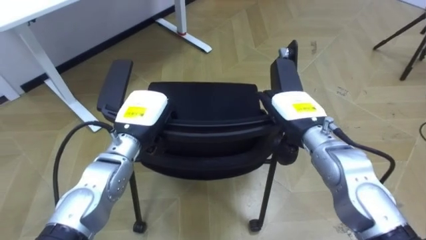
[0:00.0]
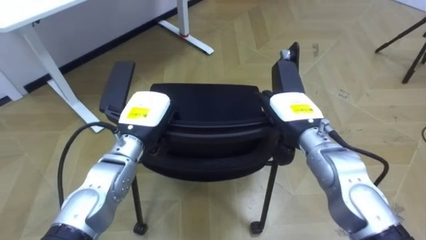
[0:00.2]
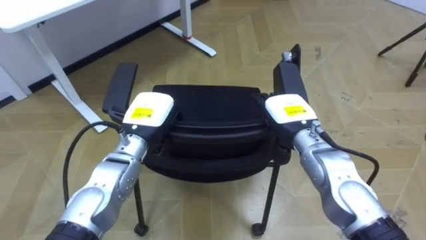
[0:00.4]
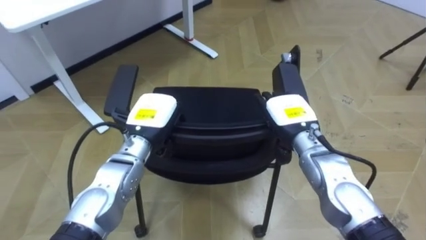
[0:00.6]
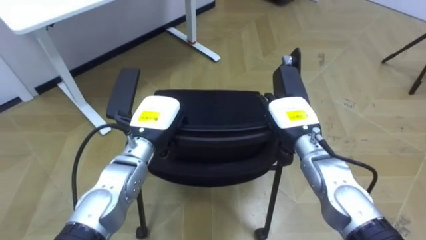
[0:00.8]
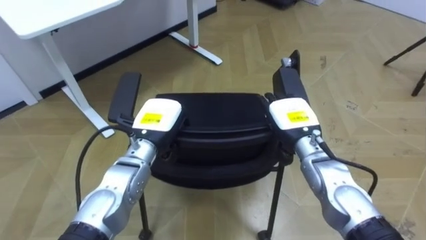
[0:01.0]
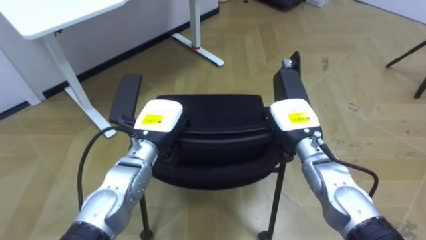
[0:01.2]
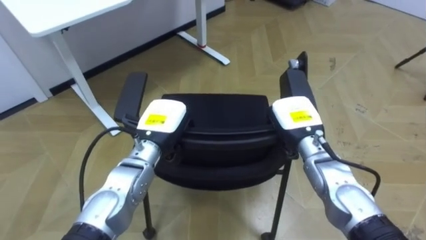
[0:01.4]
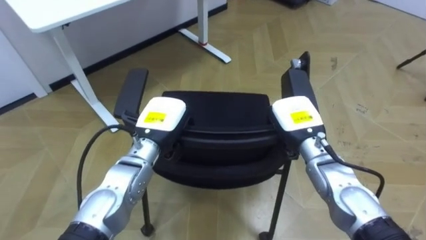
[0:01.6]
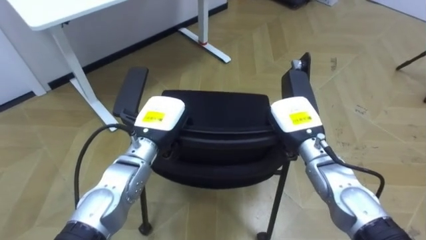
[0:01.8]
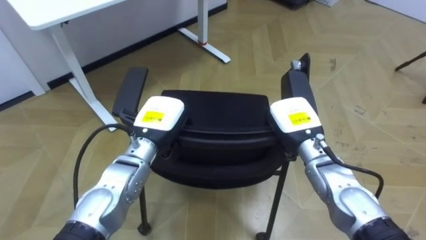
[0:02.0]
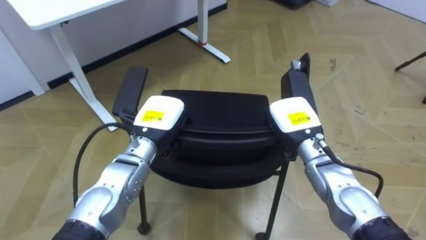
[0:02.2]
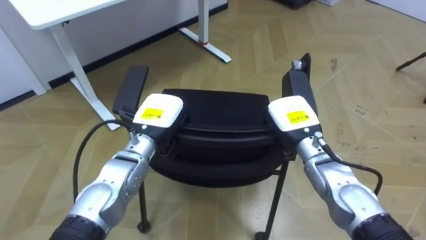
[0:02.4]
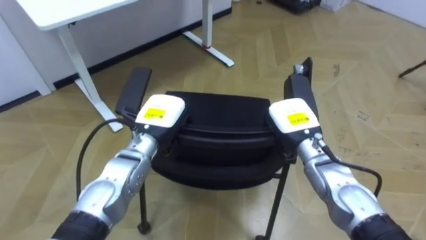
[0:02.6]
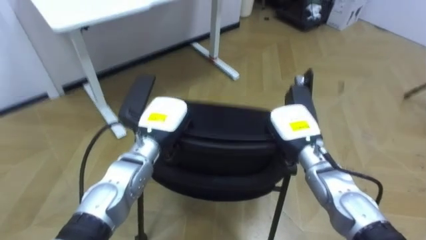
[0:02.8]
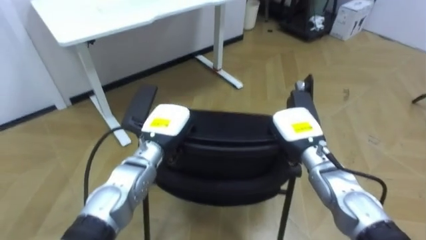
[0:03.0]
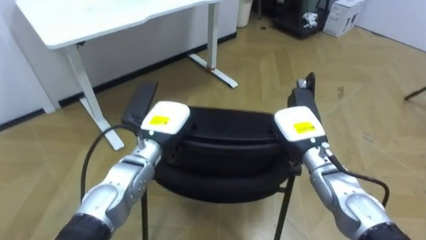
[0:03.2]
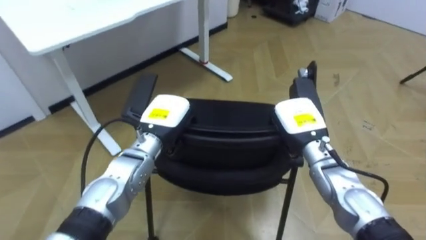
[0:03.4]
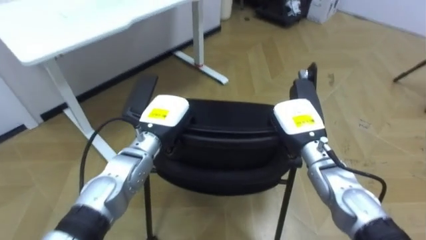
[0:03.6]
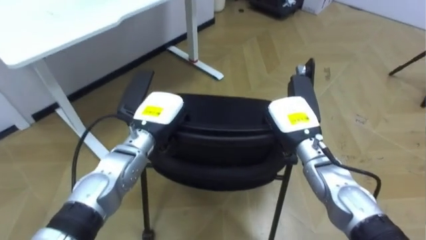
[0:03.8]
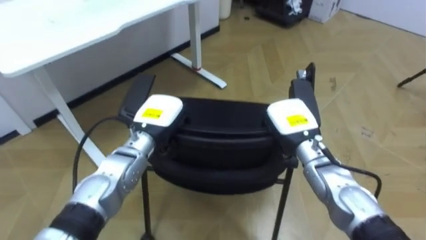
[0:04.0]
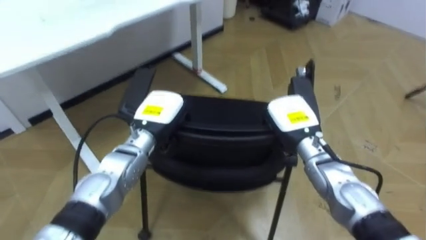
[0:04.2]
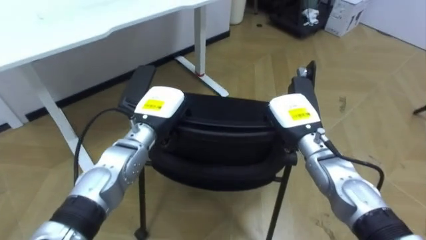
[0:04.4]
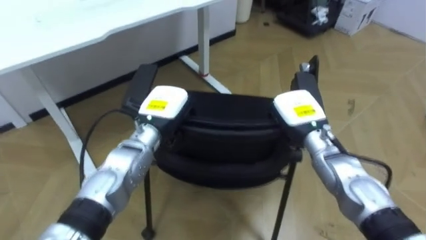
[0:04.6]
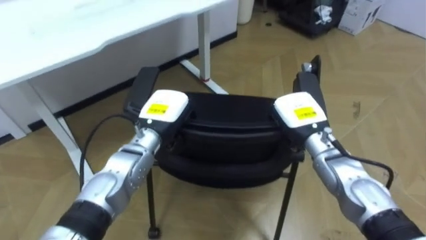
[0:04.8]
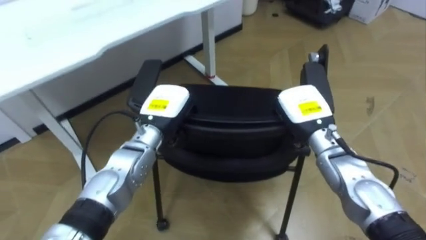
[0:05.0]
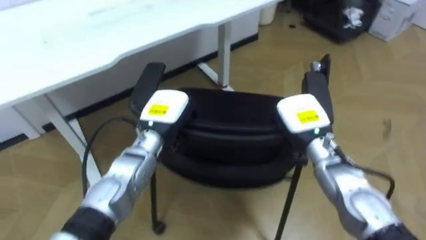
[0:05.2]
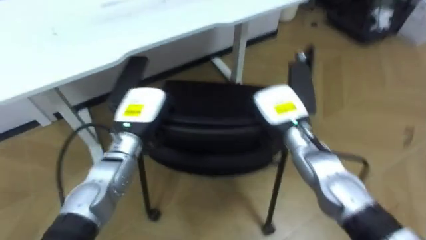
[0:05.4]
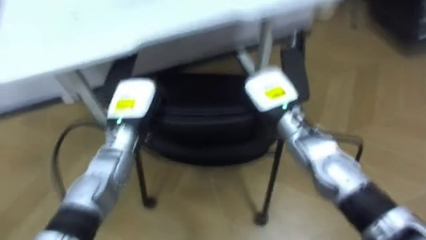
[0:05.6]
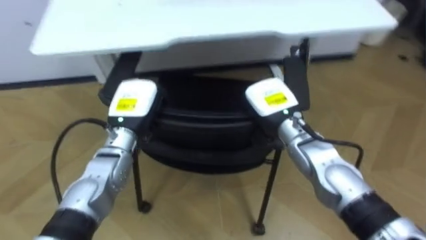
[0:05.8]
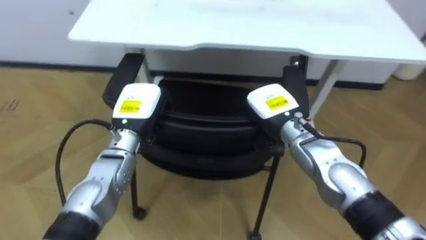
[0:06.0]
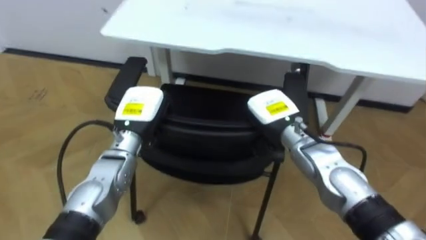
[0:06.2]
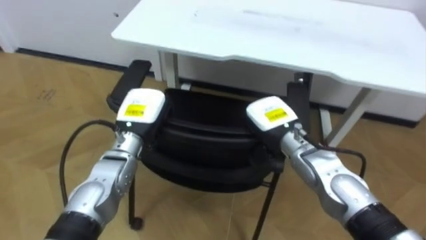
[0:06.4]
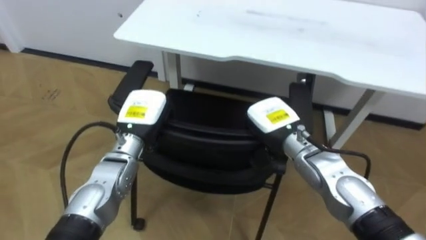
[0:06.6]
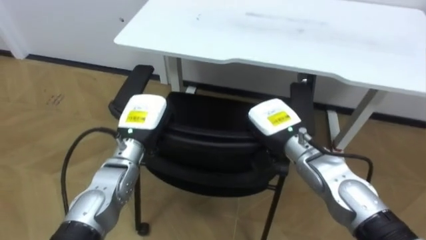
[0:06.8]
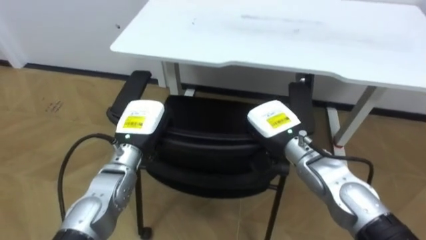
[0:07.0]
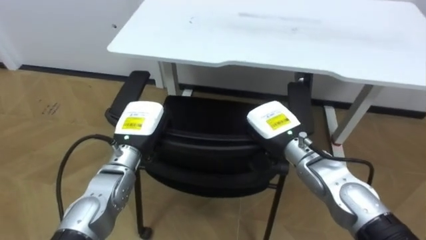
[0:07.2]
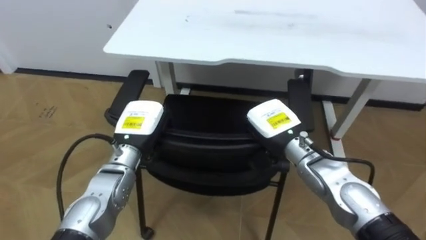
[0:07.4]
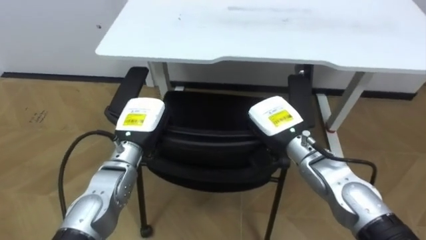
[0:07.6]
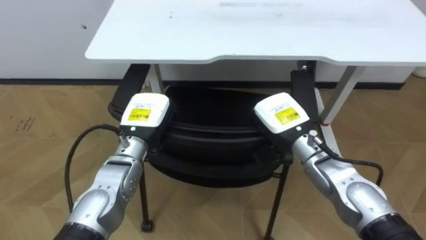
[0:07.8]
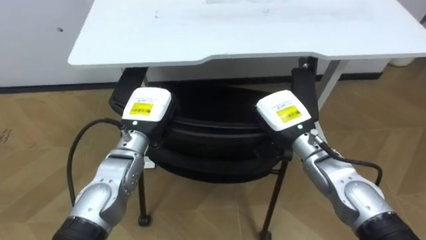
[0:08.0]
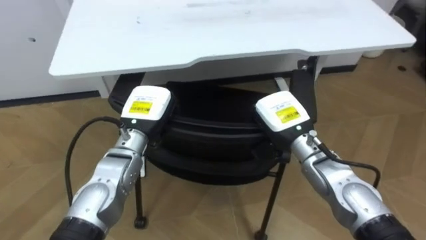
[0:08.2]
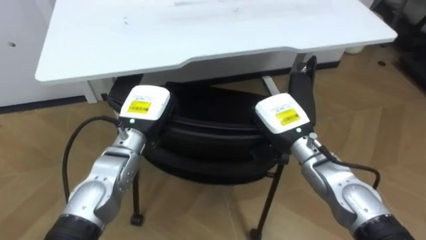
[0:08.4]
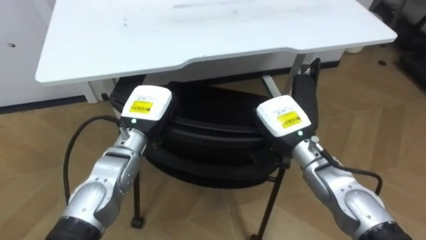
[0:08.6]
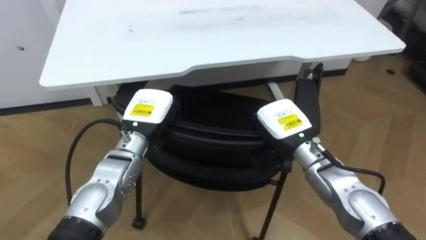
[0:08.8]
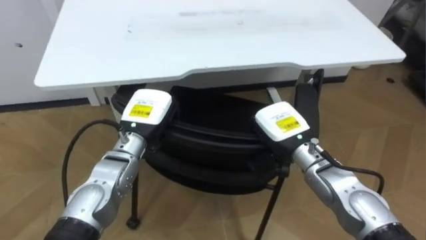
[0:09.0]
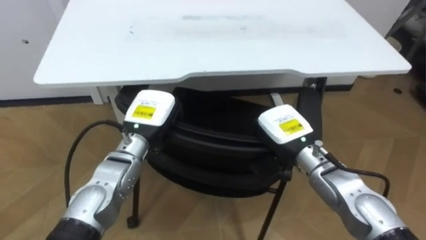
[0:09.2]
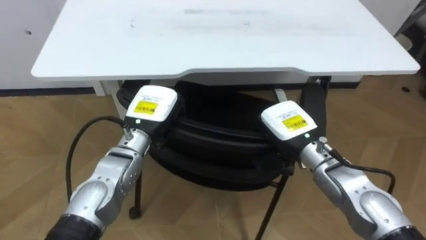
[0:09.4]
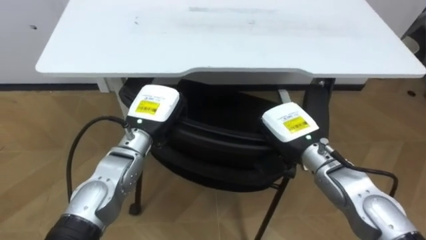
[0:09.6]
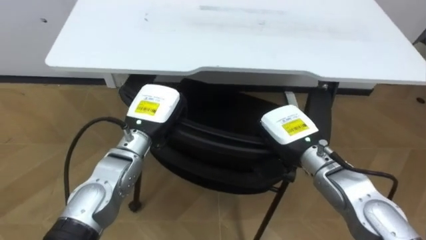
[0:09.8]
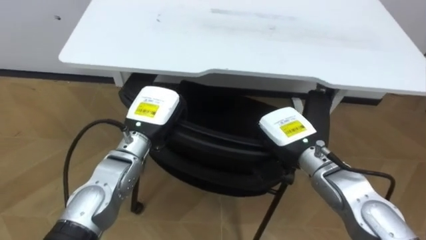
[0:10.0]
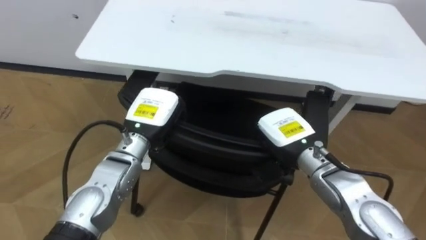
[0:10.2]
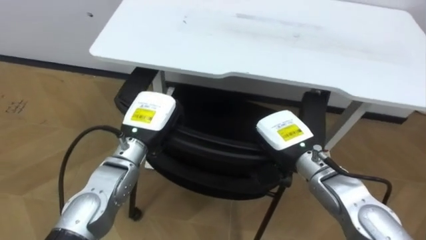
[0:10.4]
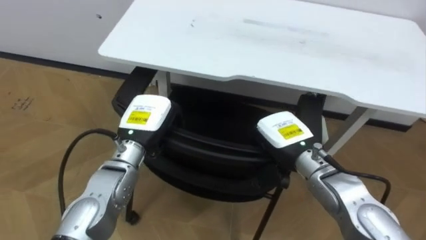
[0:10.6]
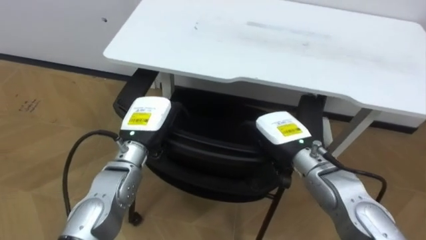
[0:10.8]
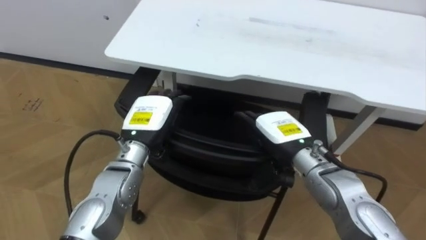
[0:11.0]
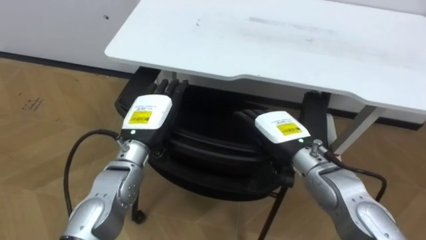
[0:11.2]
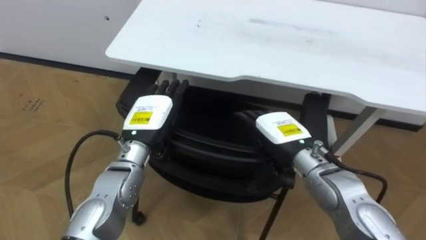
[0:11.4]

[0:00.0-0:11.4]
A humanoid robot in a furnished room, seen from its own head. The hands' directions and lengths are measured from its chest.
Task of the whole recording: Push the chair under the table.
0:00.0 to 0:01.4: The right hand closes.
0:04.2 to 0:05.6: The robot rotates about 20 degrees to its left. The right hand is displaced to the left by some 5 cm.
0:05.6 to 0:07.2: The robot rotates roughly 25 degrees to its left. The right hand moves roughly 5 cm.
0:10.0 to 0:11.4: The right hand opens up. Meanwhile the left hand opens up.

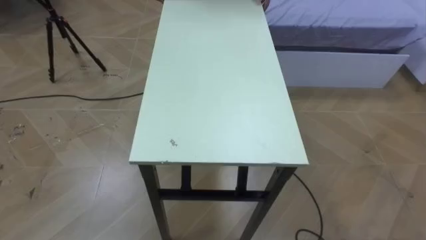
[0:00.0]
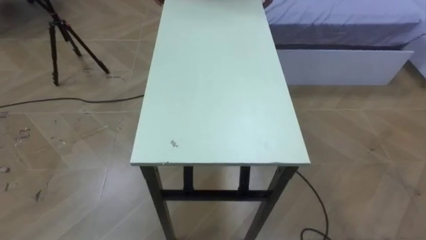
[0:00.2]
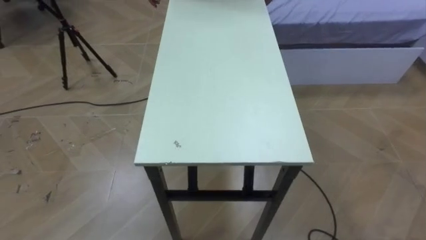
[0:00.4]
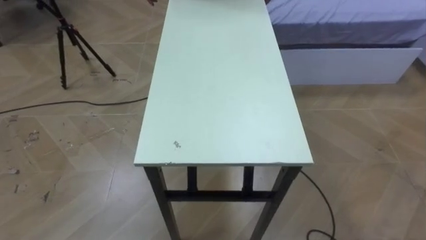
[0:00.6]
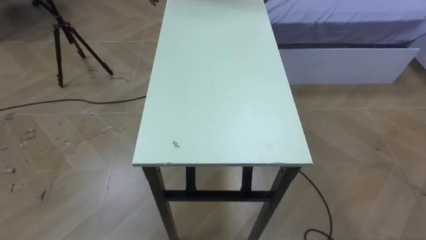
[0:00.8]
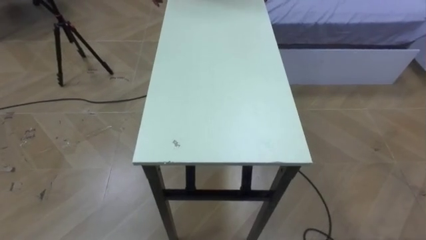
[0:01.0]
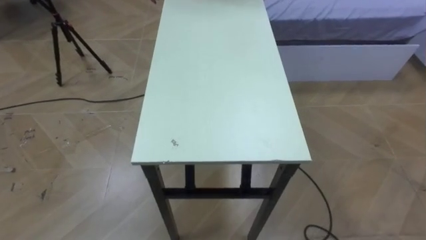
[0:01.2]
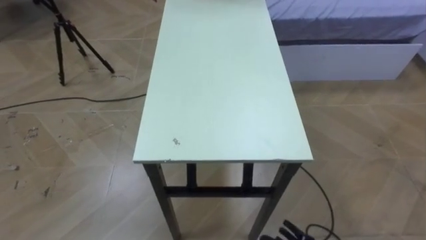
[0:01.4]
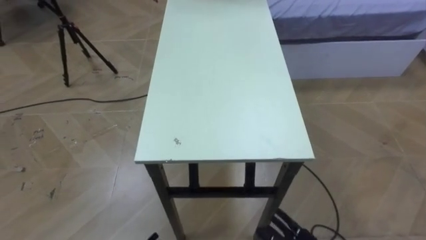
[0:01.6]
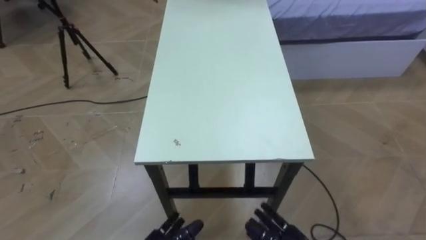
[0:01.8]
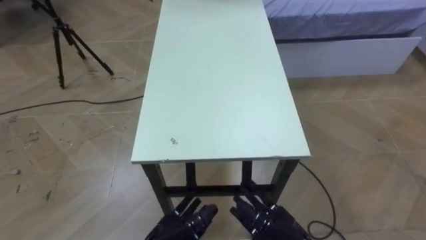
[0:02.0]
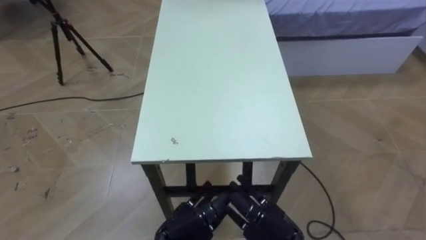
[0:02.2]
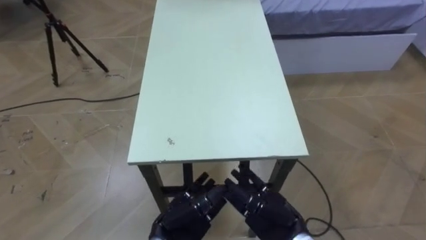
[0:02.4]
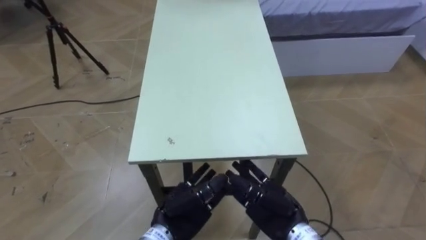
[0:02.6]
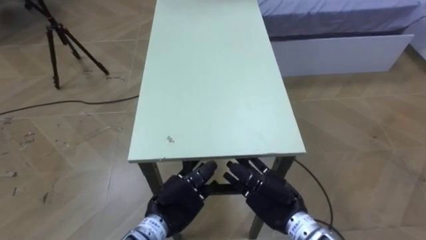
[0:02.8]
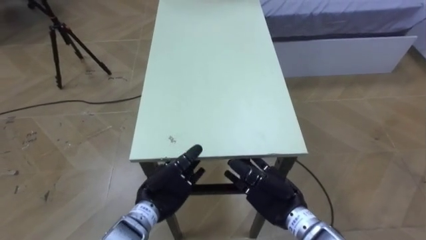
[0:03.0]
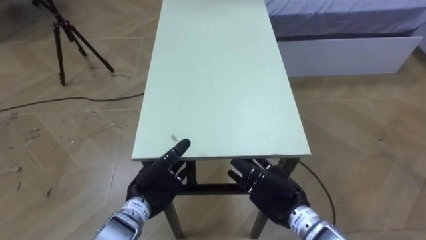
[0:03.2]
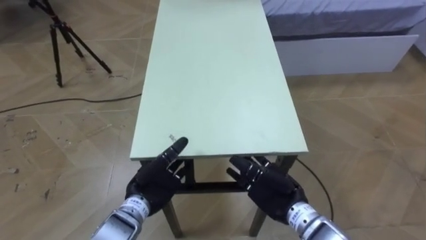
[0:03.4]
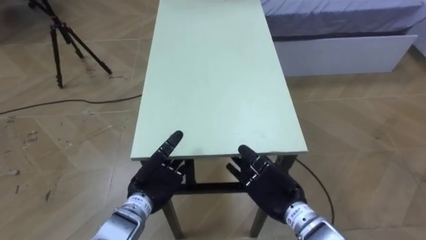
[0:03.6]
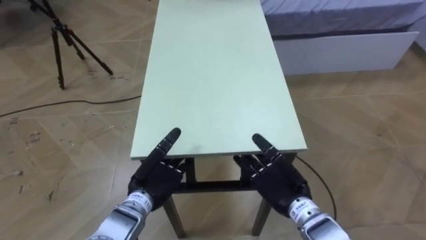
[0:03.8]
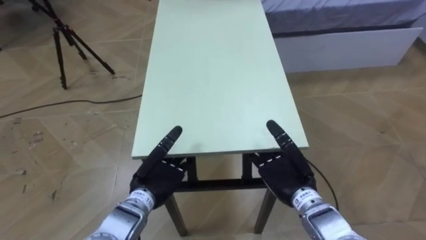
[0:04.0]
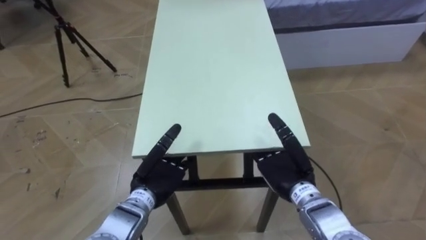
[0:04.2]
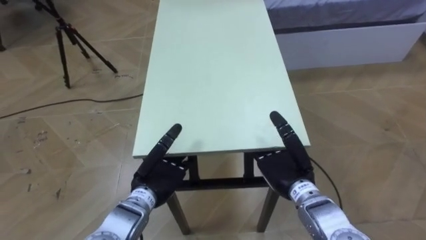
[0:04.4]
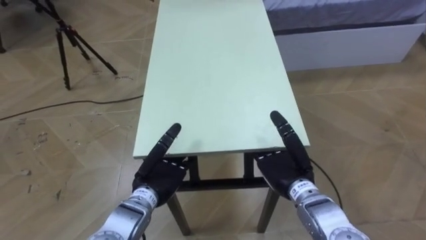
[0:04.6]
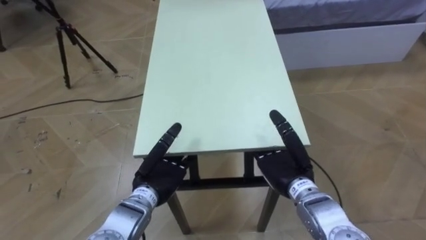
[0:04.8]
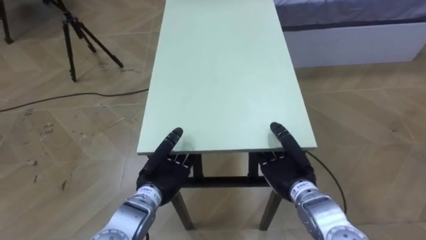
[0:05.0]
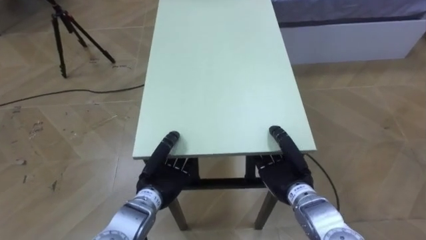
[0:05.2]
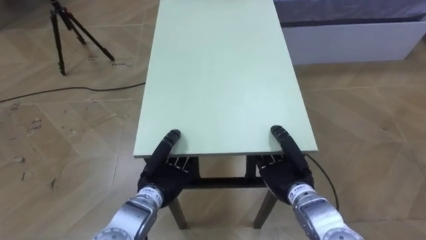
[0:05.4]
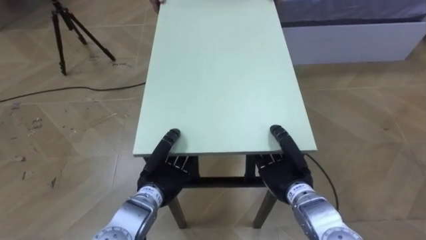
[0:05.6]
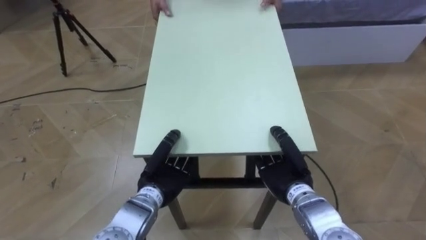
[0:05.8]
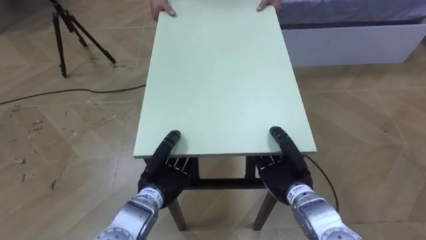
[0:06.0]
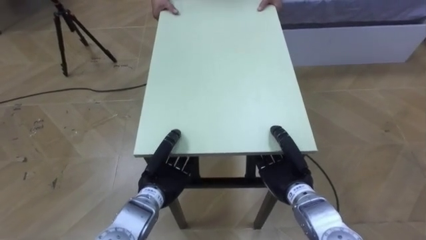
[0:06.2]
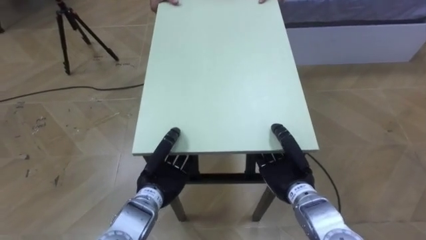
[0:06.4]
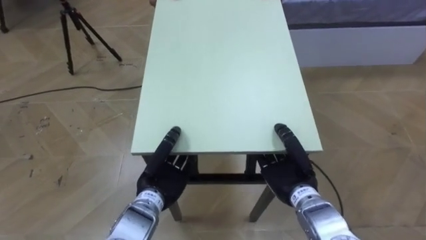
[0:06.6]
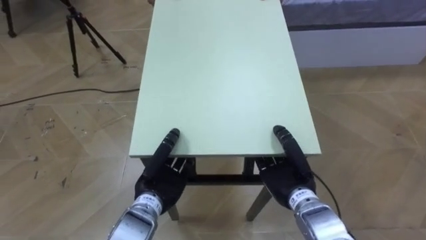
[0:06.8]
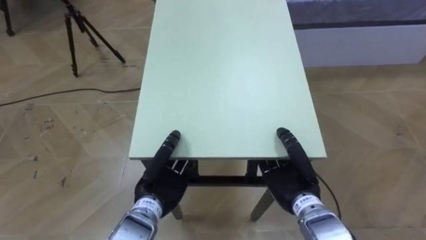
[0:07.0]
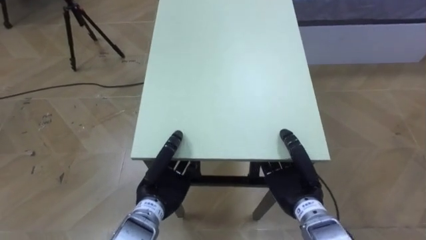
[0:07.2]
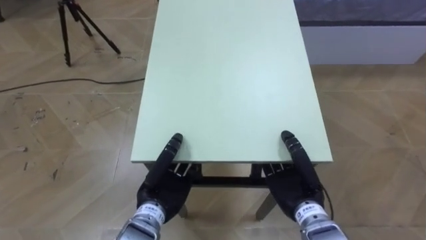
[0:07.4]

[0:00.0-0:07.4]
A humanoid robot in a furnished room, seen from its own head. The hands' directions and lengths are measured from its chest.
Task of the whole recording: Move the table to the back left with someone.
0:03.0 to 0:04.4: The right hand moves approximately 5 cm.
0:04.4 to 0:06.0: The left hand closes. The right hand closes up.
0:06.0 to 0:07.4: There are only small adjustments of the hands.
